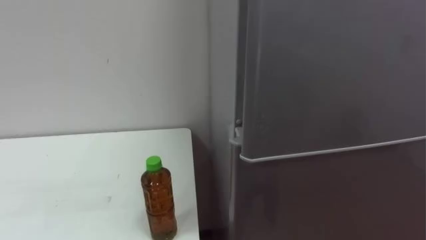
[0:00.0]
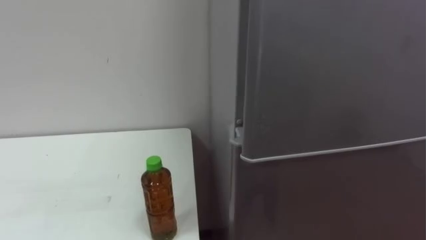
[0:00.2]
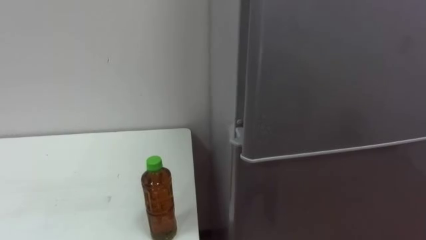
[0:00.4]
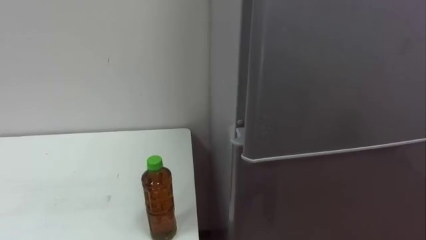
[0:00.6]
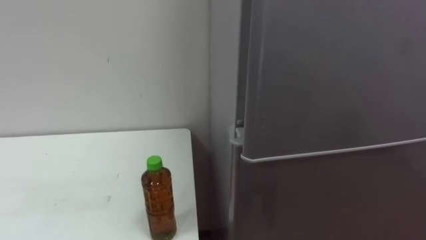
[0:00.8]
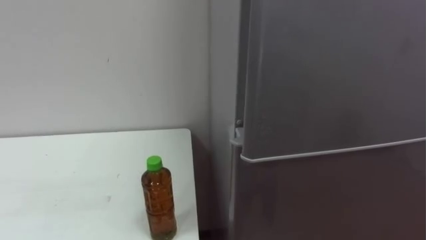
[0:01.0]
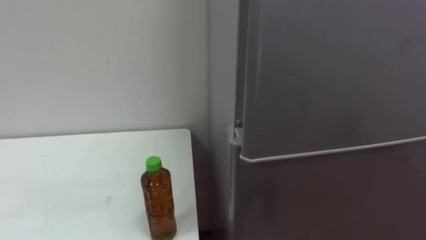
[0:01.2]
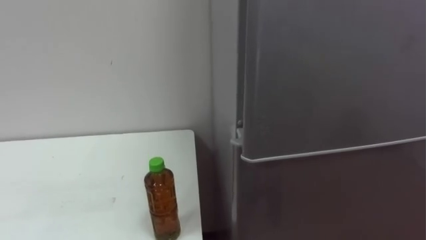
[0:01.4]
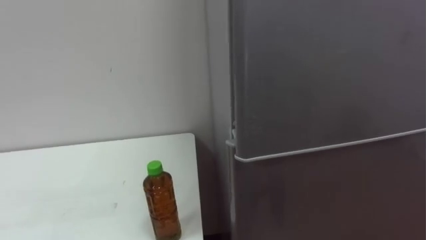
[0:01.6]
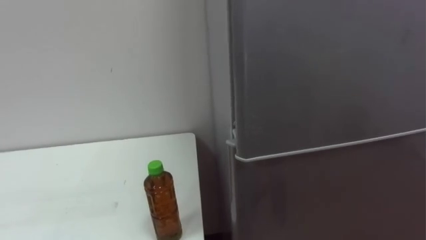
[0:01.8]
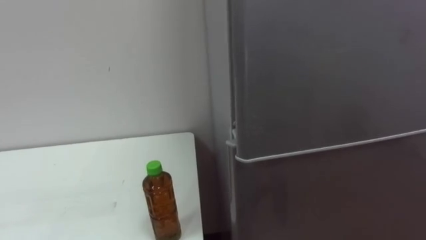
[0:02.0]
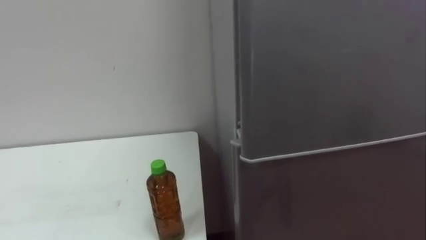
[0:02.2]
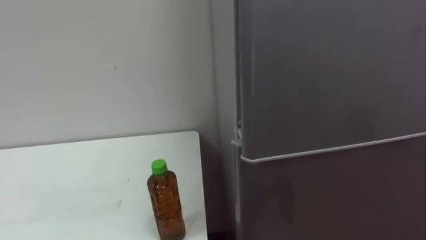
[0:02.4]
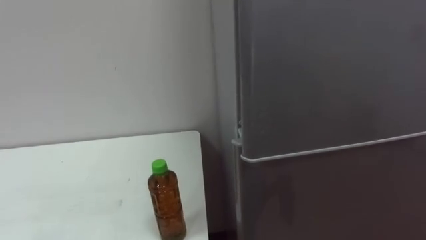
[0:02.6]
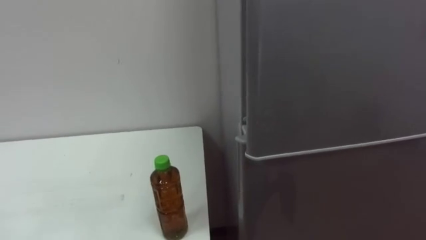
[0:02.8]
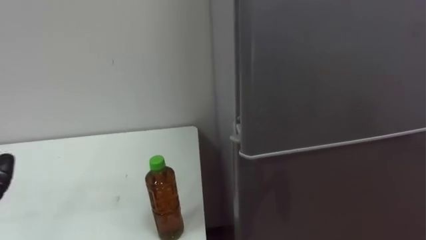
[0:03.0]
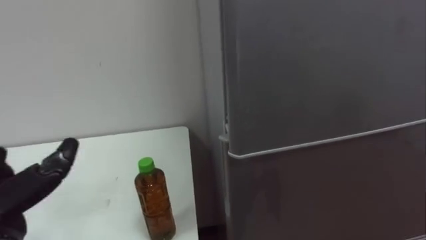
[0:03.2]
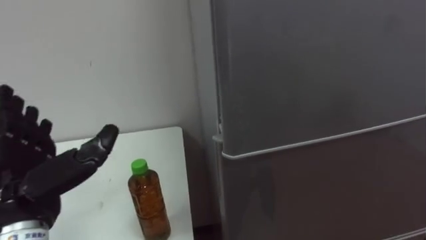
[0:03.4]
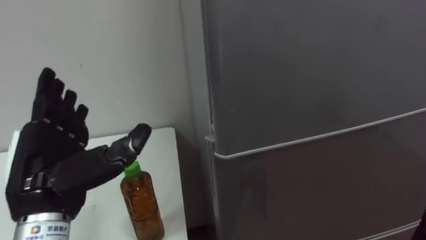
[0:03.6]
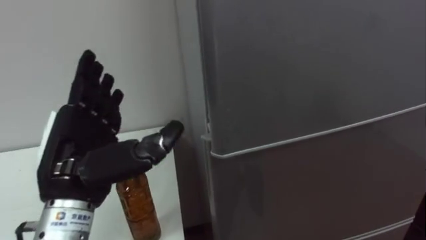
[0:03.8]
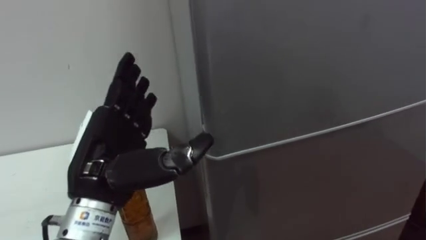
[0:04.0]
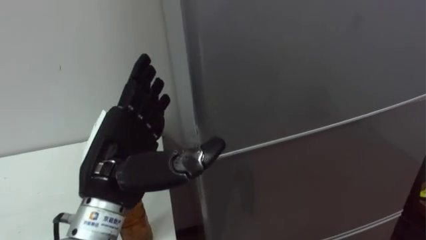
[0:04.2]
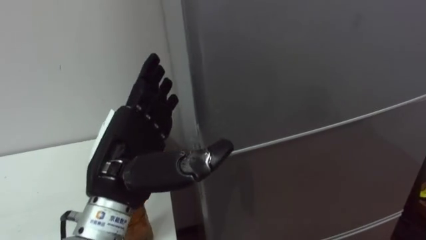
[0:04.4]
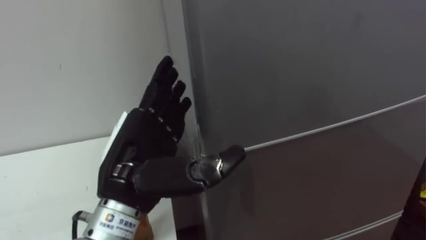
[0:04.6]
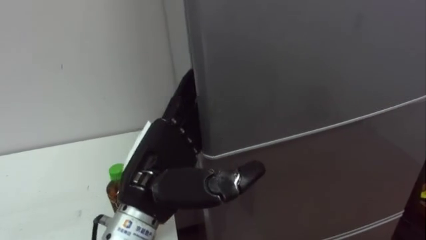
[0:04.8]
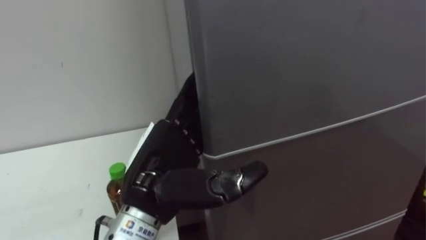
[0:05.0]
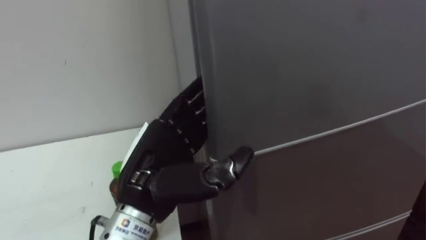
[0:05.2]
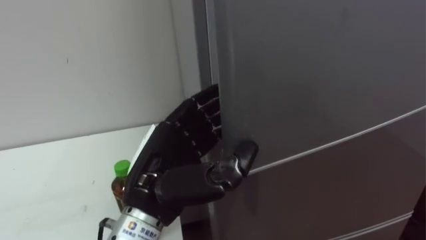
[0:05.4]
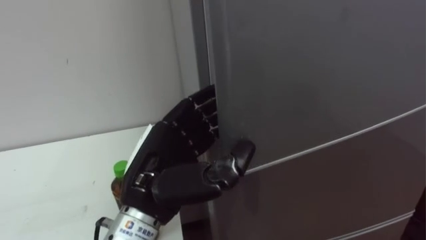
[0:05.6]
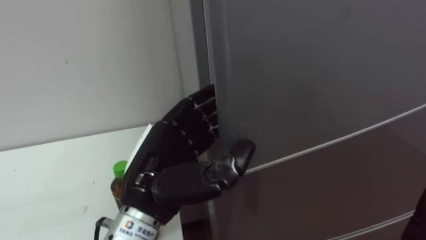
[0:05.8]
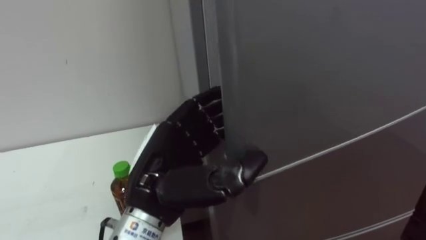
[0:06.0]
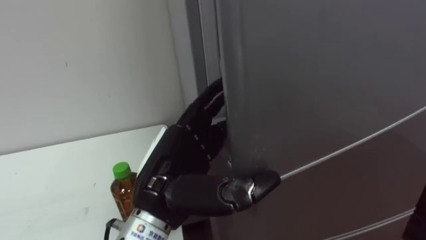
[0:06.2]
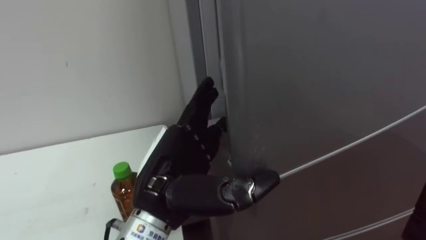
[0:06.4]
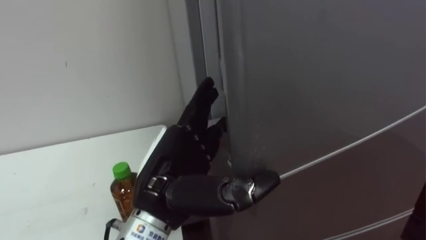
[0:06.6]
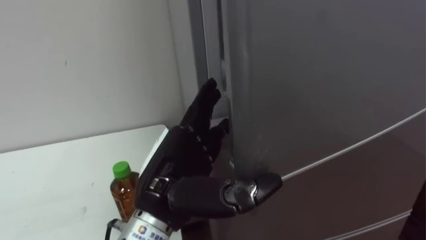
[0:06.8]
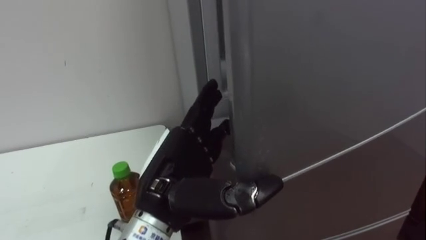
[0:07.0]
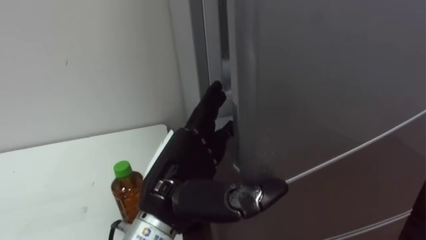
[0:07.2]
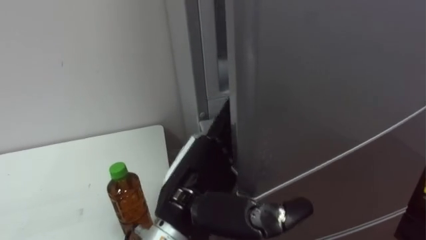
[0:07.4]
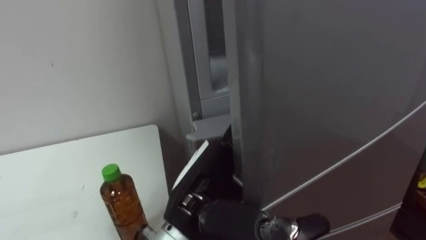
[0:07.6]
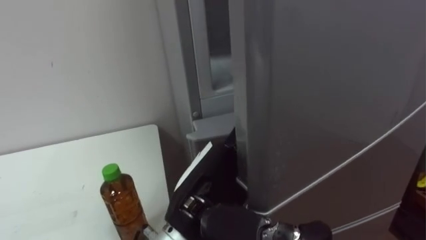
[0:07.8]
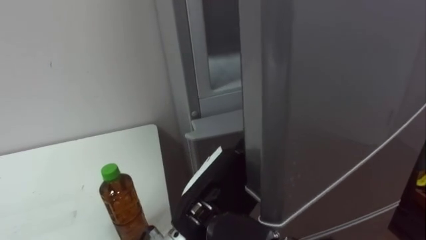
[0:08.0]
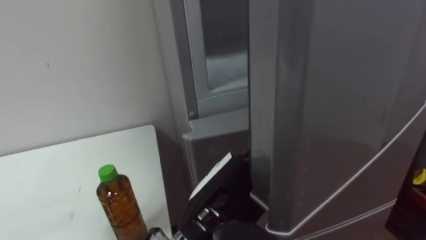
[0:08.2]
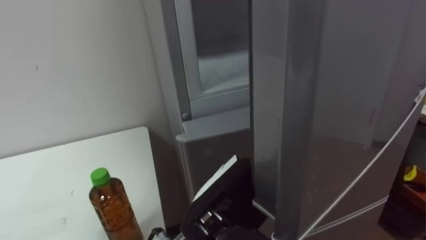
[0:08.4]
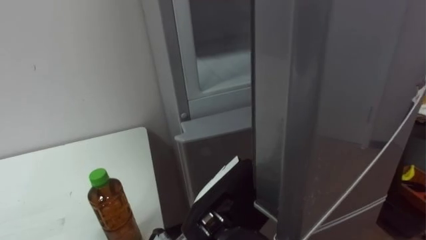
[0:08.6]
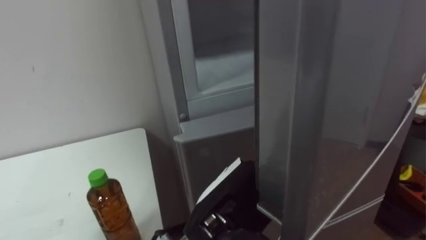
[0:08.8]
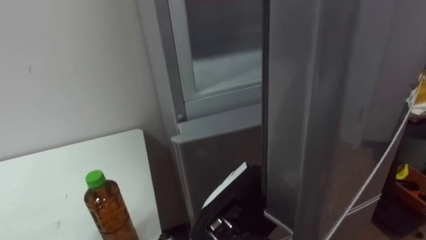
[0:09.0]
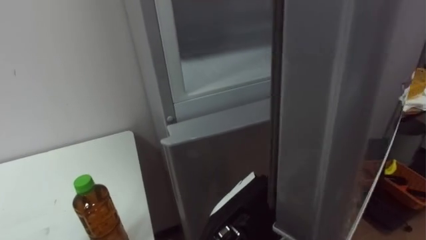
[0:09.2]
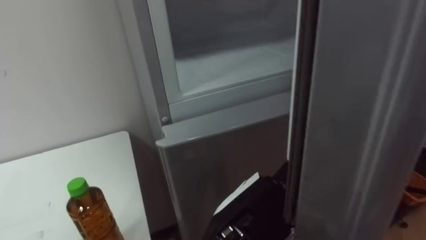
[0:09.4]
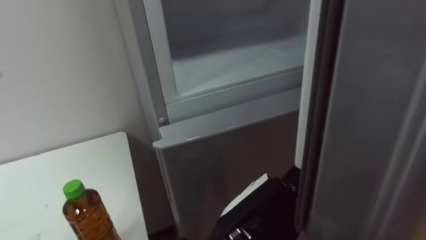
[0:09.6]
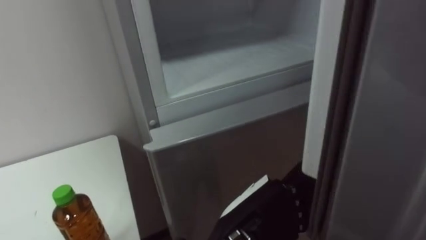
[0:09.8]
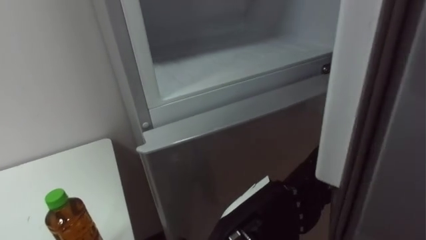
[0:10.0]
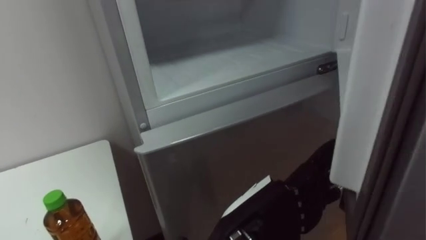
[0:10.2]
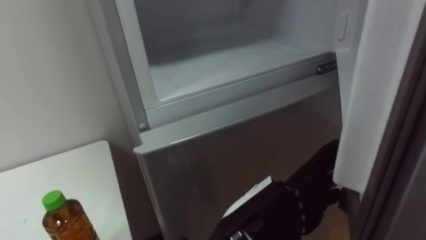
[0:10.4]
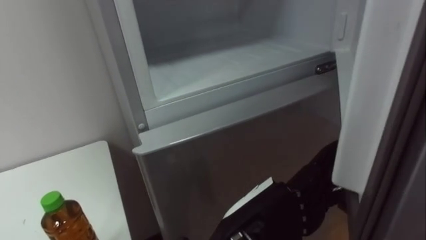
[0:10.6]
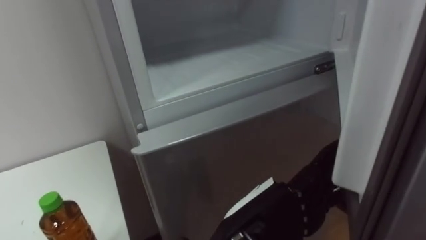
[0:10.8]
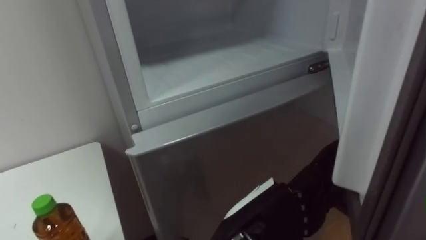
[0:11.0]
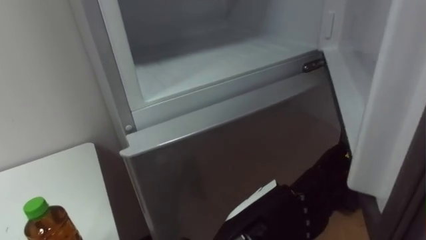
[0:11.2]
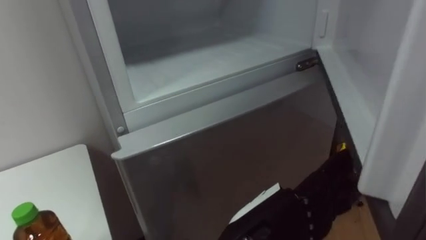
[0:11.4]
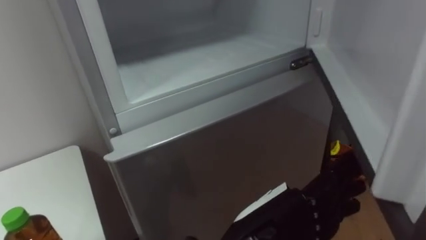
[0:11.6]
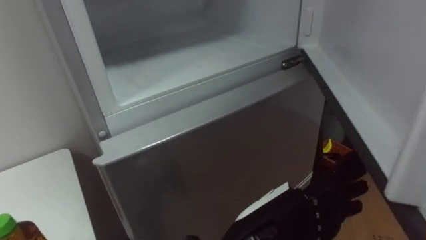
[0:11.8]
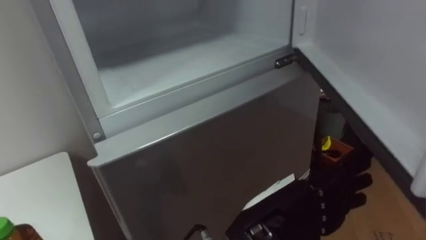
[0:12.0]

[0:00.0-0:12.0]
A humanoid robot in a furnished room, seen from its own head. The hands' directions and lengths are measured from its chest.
Task of the whole recording: Open the upper refrigerator door, put the drink from the table into the refrigerator, and then close the refrigerator door.
0:04.4 to 0:06.0: The left hand closes up.
0:06.0 to 0:07.6: The left hand shifts about 5 cm to the right, and opens up.

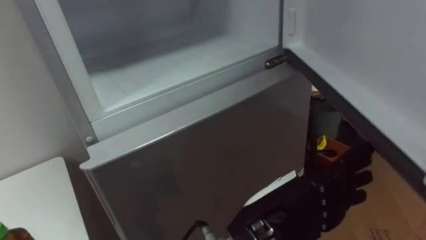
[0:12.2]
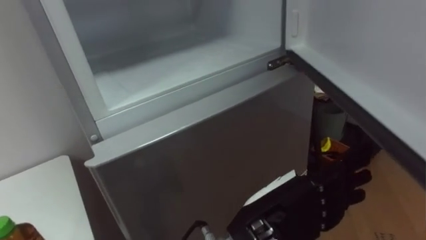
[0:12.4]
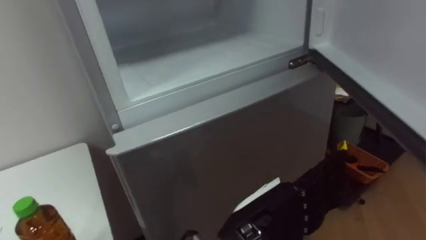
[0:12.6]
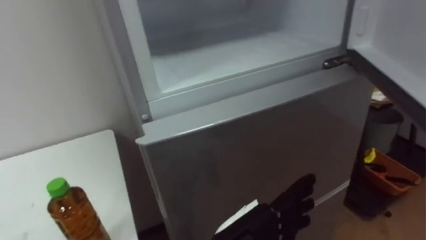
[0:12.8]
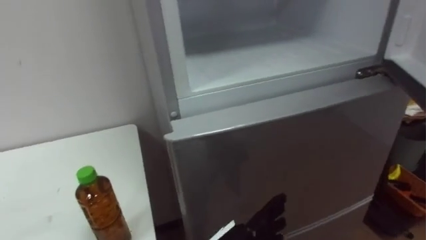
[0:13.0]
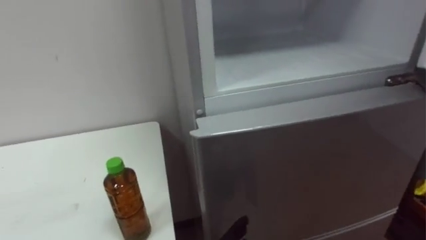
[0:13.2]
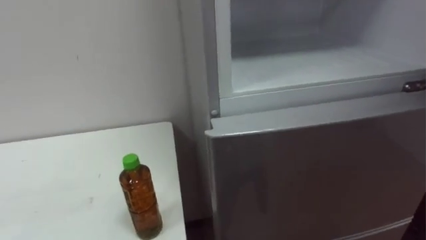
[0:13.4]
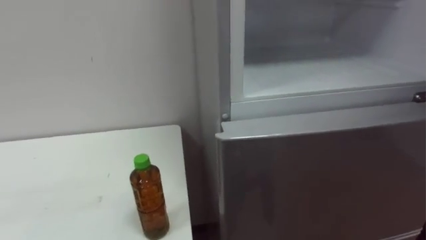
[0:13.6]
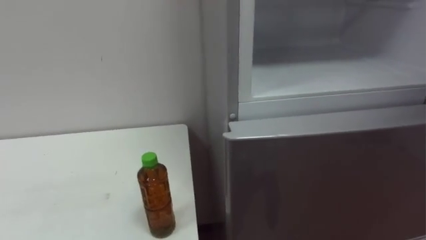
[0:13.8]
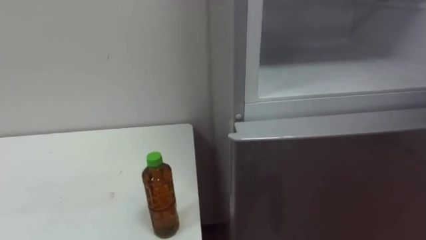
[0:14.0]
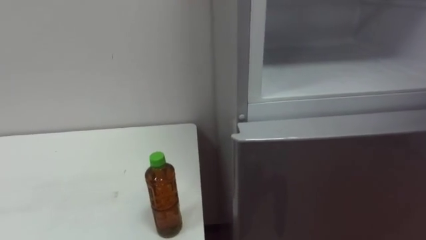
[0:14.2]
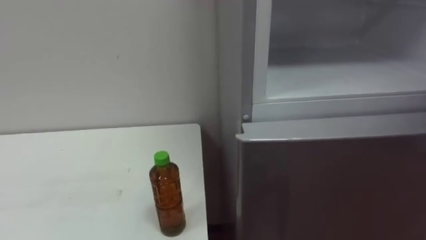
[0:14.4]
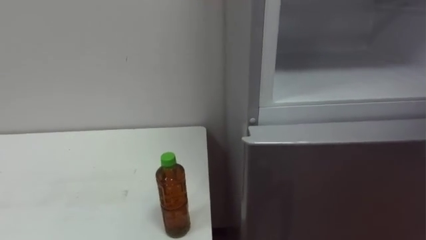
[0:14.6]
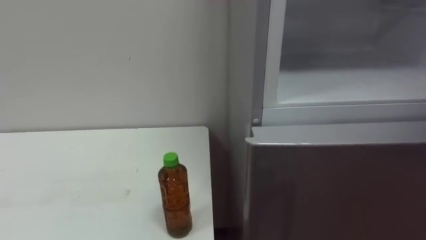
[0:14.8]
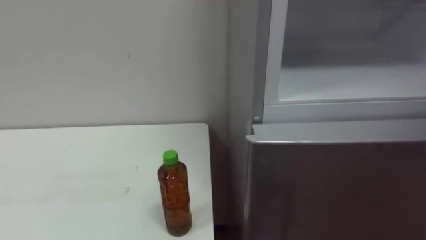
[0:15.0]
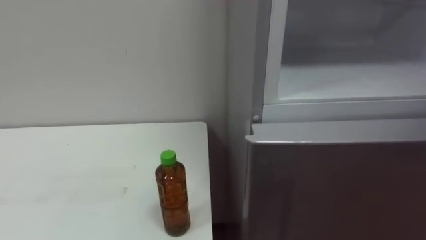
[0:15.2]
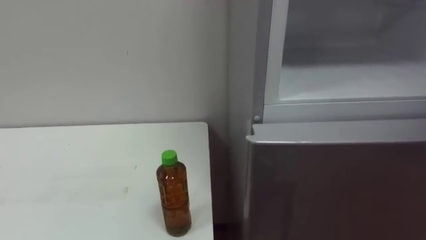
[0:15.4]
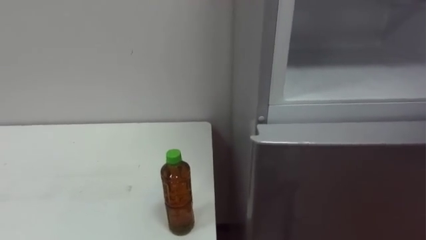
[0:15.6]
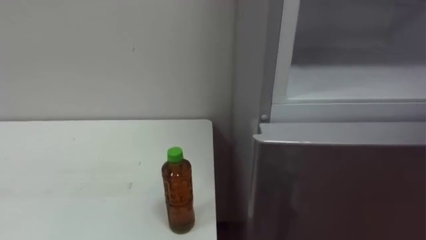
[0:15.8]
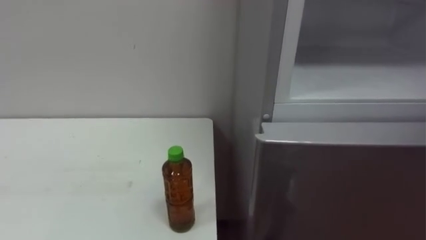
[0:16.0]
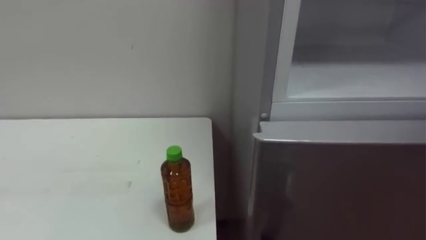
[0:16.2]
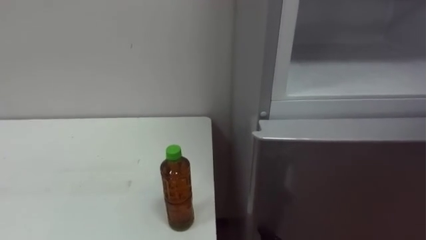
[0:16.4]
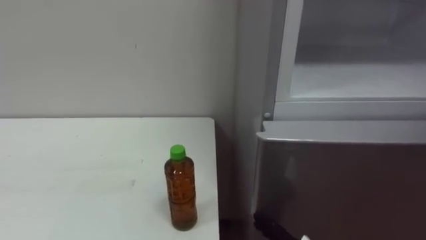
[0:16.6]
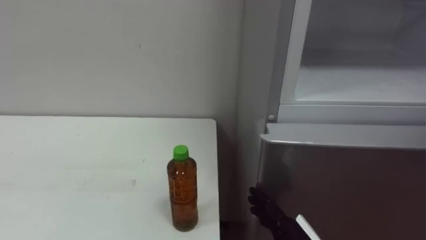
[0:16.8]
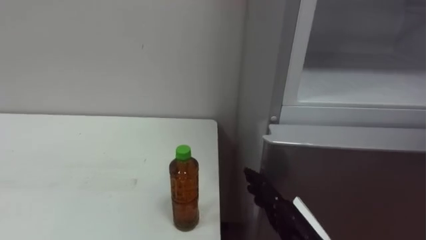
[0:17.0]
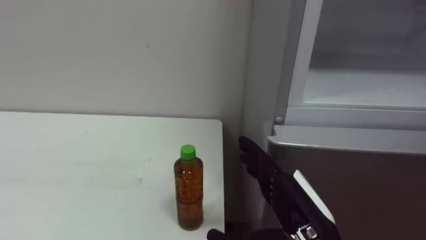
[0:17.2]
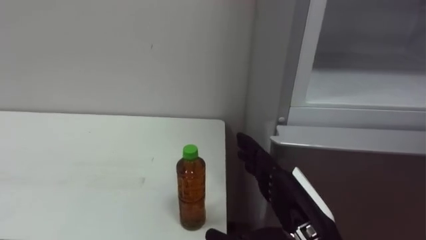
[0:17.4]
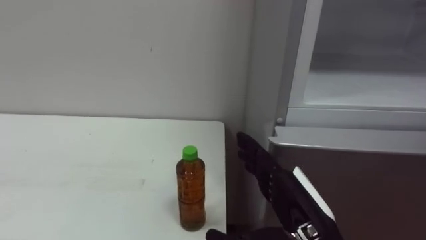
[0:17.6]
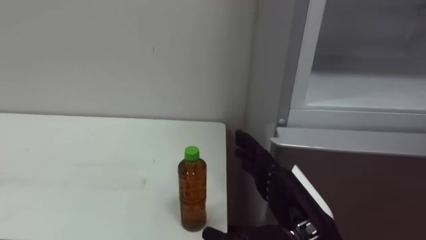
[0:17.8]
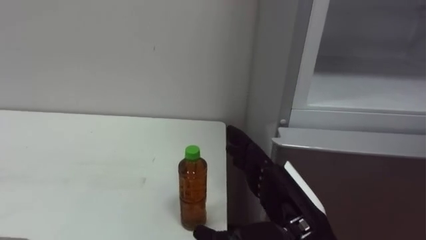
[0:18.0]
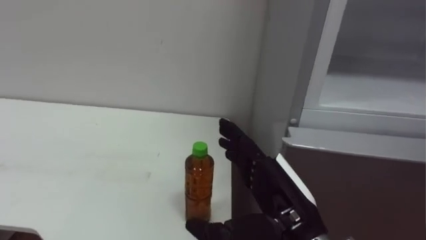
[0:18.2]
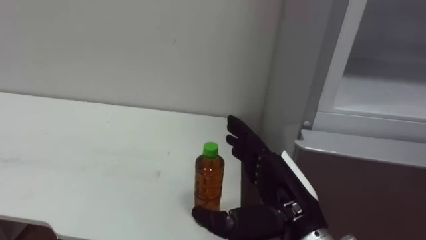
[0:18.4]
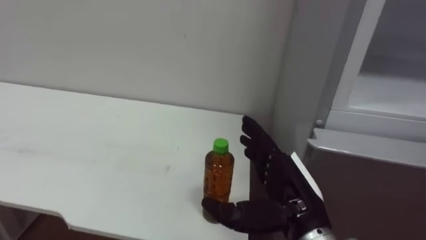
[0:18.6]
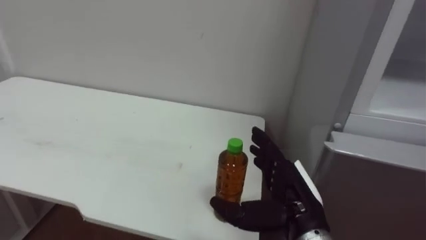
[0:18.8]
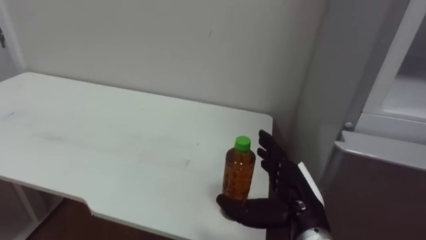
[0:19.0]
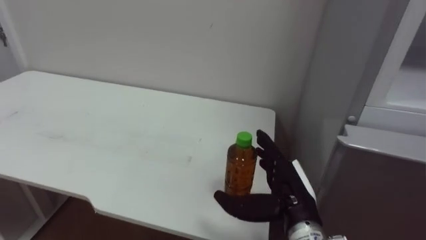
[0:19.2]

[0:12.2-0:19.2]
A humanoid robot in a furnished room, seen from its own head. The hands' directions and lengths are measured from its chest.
Task of the whole recording: Open the upper refrigerator door, put the drink from the table into the refrigerator, and then close the refrigerator door.
0:17.8 to 0:19.2: The right hand moves forward, some 5 cm.
